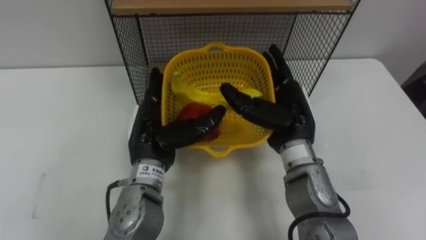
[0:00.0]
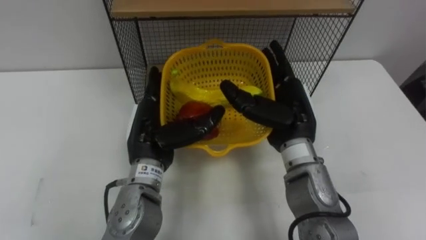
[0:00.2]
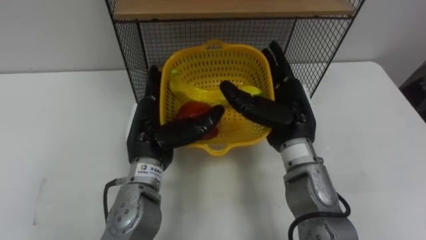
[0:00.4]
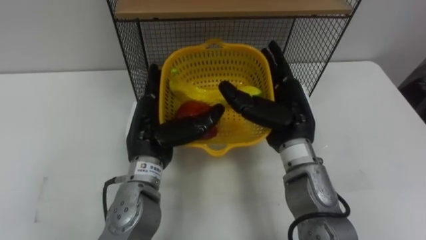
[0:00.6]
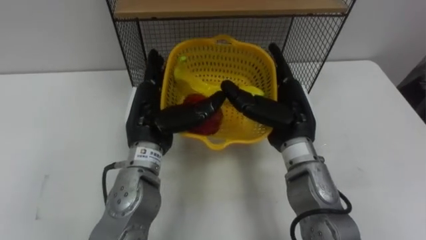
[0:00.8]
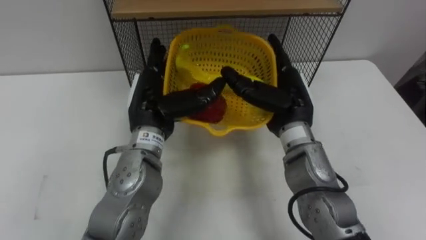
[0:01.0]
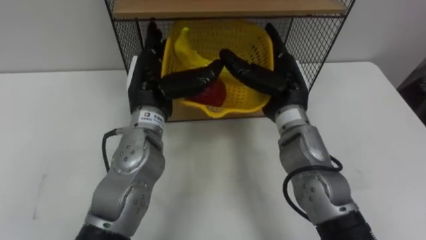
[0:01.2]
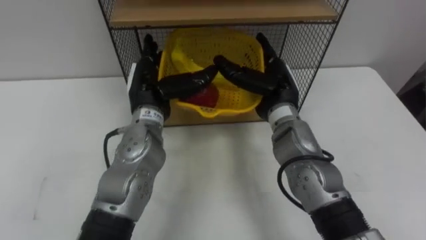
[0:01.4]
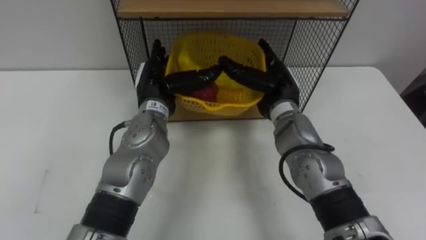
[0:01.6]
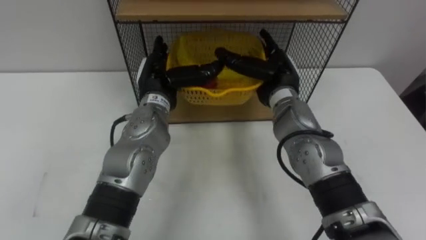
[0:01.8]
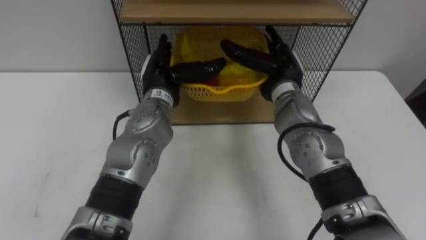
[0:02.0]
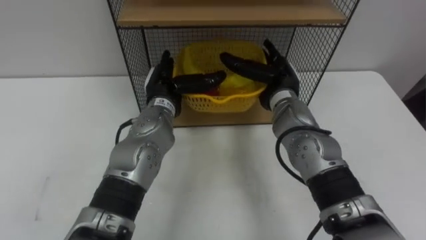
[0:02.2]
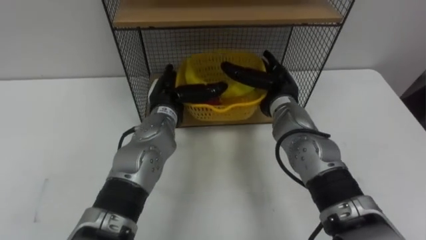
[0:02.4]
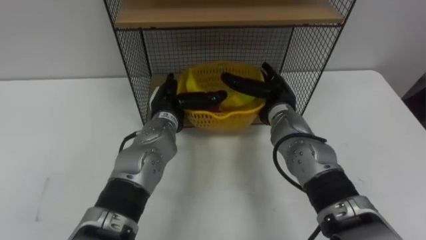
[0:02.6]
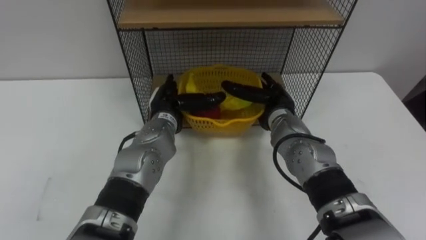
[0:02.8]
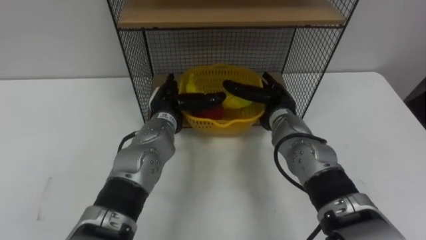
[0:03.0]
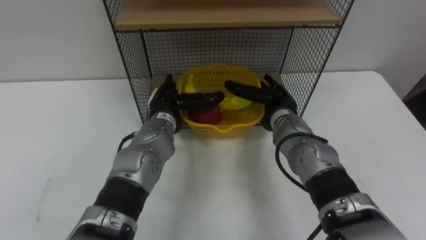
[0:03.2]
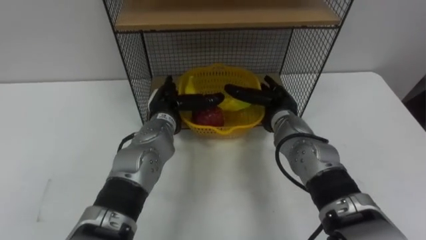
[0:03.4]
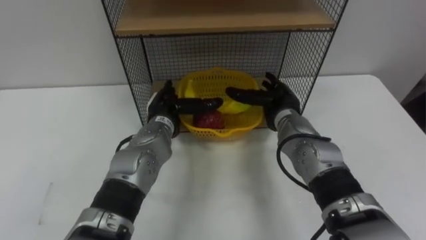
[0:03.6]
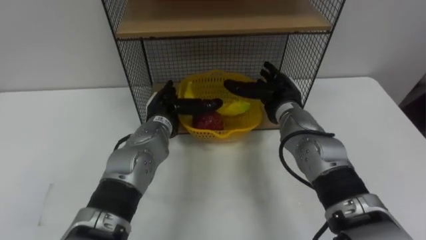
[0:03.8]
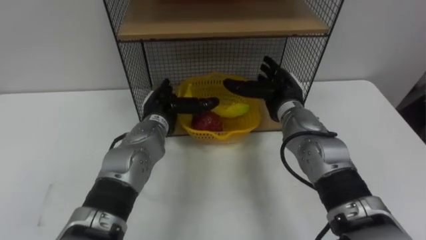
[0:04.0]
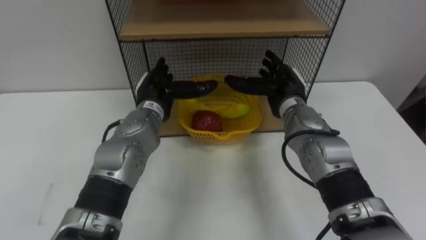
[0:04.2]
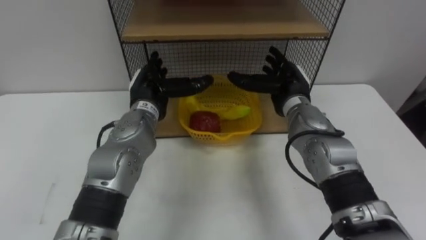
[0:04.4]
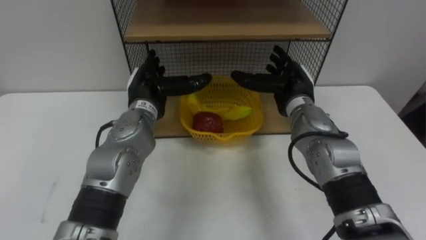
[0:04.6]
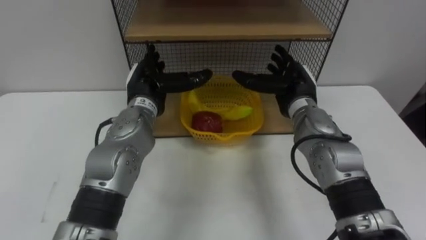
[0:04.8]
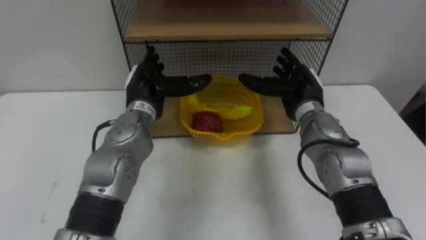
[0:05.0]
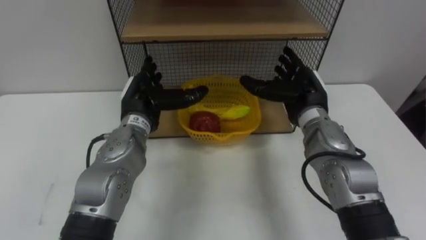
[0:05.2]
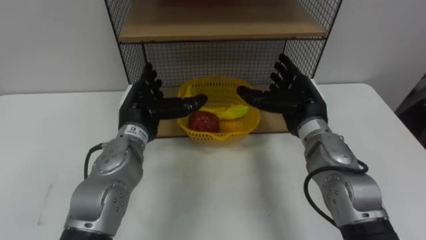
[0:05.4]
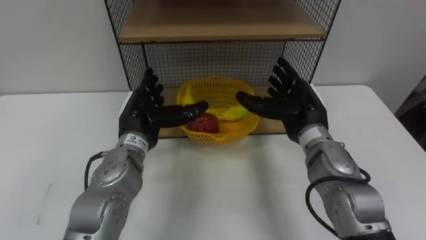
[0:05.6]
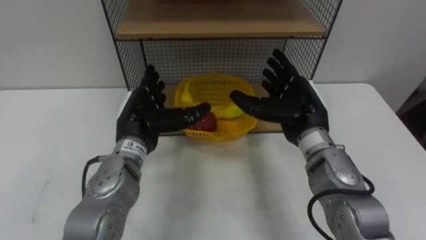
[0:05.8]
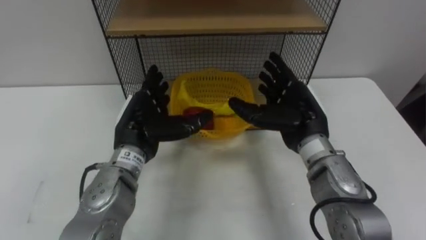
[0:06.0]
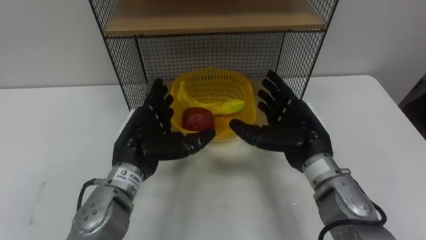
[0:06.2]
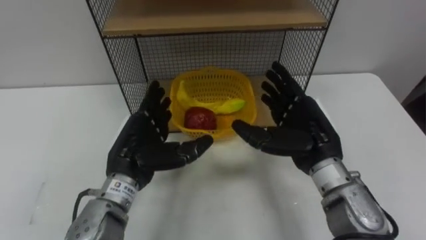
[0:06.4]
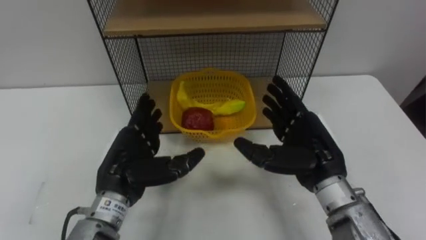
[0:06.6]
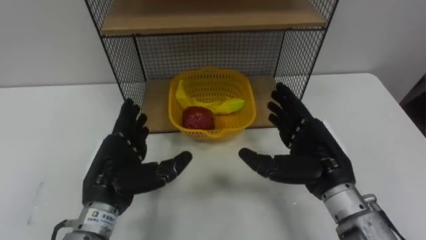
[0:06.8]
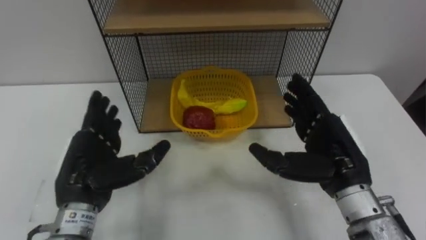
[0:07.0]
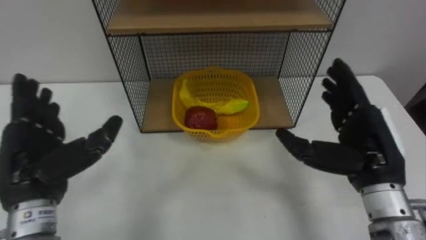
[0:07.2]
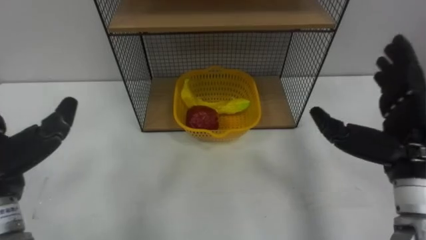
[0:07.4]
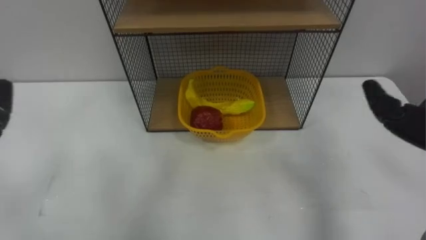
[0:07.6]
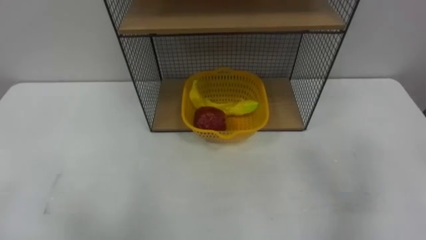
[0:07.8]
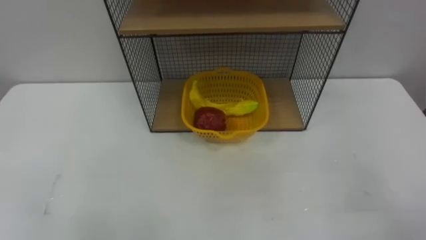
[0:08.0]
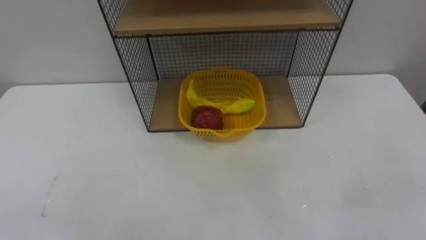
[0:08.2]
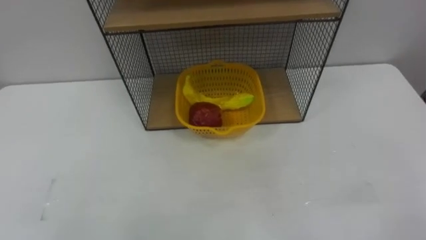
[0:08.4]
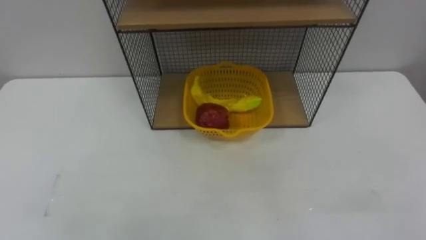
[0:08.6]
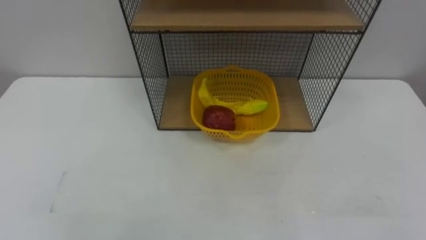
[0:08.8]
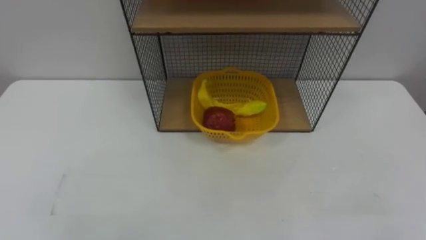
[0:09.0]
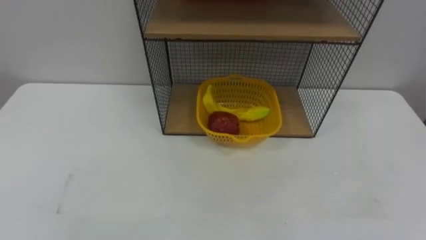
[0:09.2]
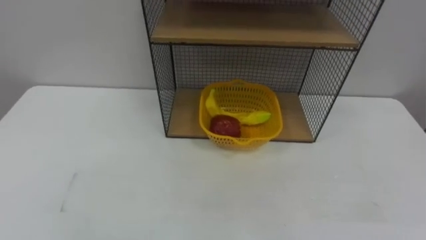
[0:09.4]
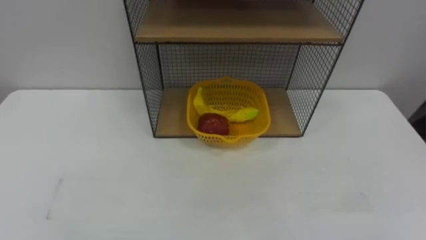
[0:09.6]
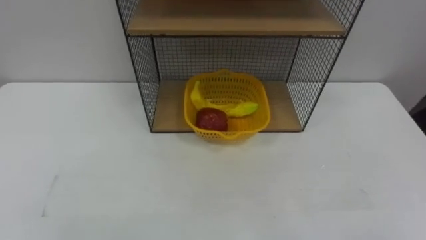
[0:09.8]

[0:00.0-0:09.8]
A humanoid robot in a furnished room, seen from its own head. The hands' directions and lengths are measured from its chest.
Task of the whole recording: Put the fruit on the table into the basket, then place the basket on the shelf.
0:00.0 to 0:01.4: Both hands move forward, about 5 cm.
0:01.4 to 0:02.8: The hands both shift downward by some 10 cm.
0:04.2 to 0:05.6: Both hands travel together backward, approximately 5 cm.
0:05.6 to 0:07.0: The right hand is displaced backward by some 10 cm; the left hand goes approximately 15 cm backward and to the left.

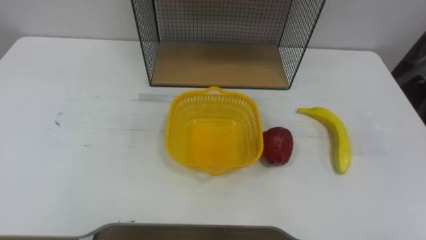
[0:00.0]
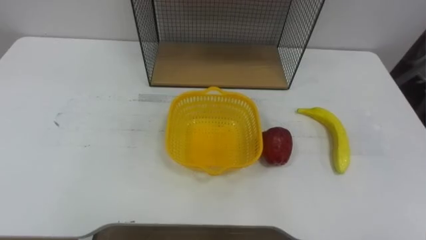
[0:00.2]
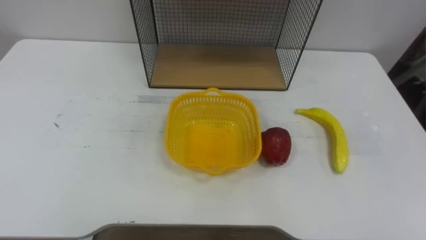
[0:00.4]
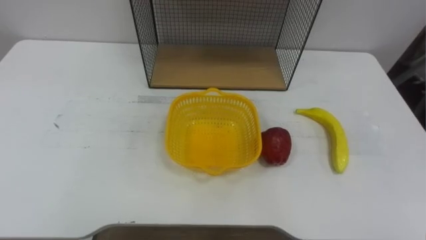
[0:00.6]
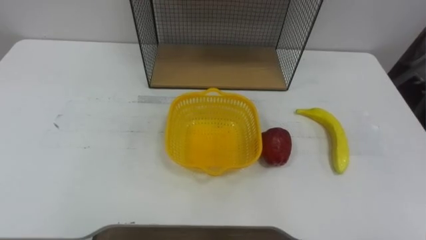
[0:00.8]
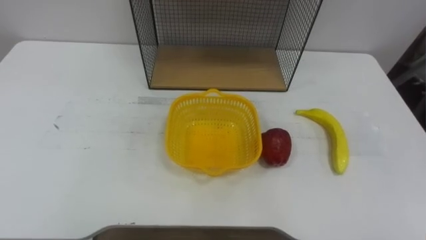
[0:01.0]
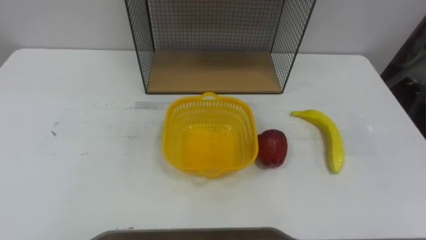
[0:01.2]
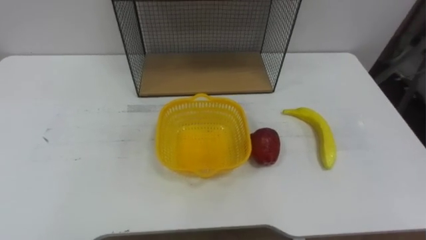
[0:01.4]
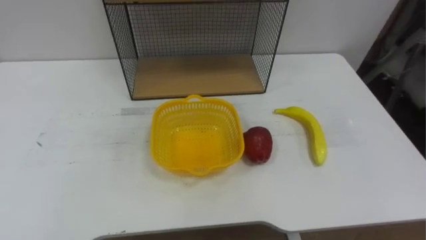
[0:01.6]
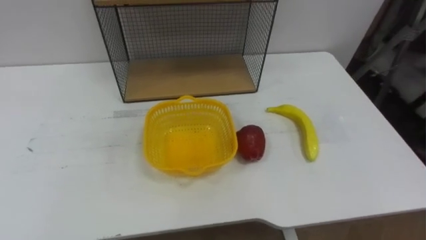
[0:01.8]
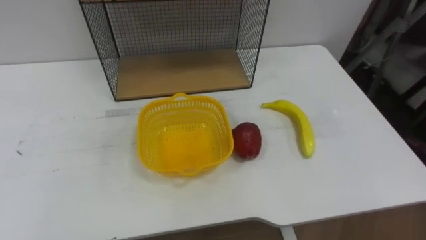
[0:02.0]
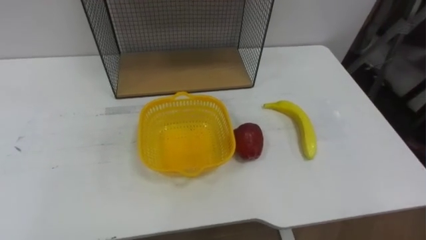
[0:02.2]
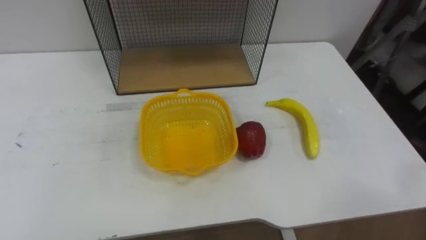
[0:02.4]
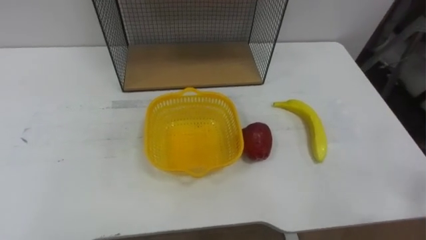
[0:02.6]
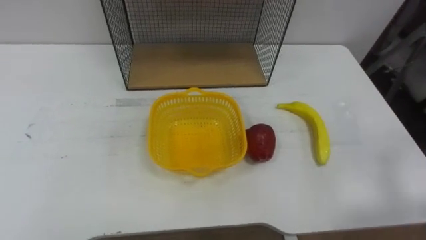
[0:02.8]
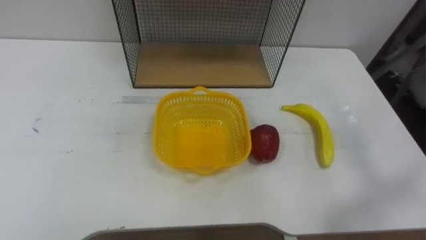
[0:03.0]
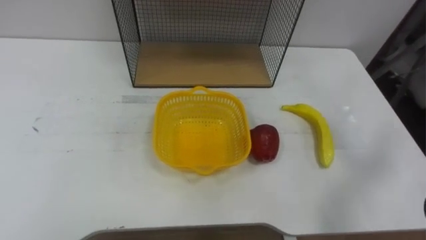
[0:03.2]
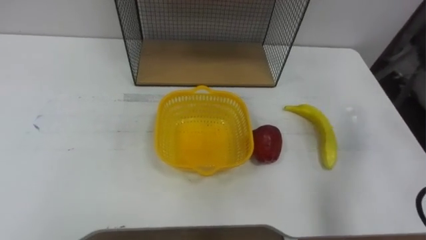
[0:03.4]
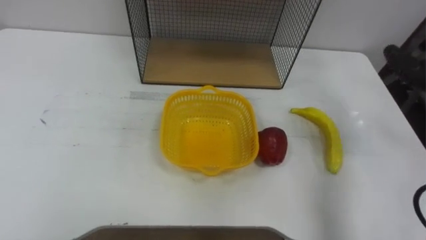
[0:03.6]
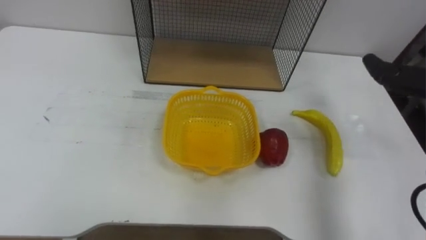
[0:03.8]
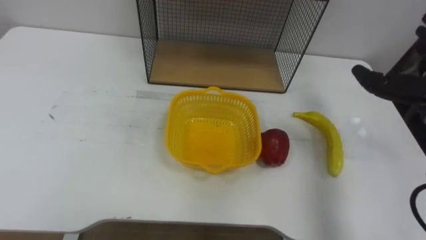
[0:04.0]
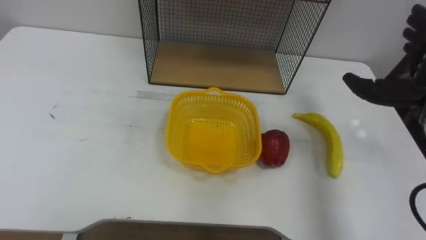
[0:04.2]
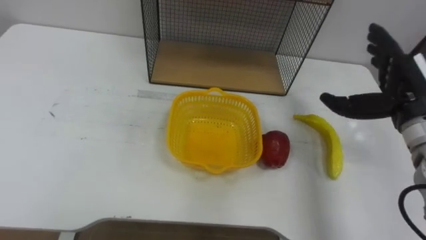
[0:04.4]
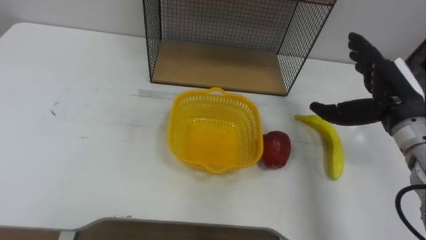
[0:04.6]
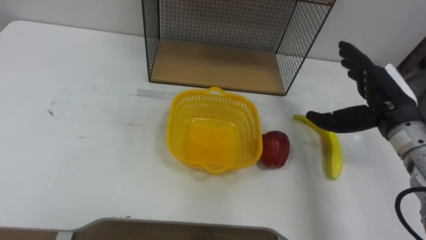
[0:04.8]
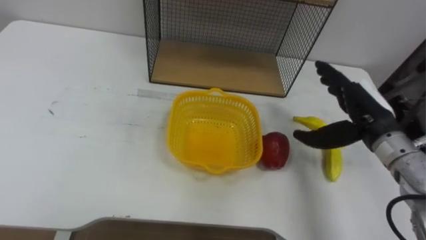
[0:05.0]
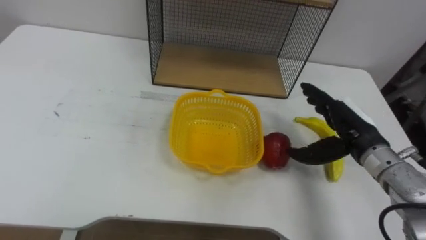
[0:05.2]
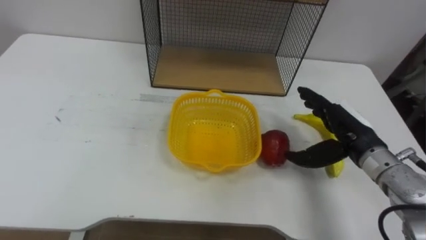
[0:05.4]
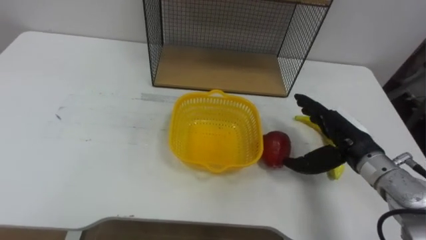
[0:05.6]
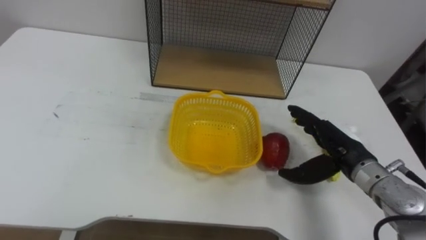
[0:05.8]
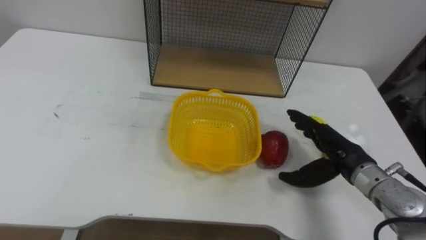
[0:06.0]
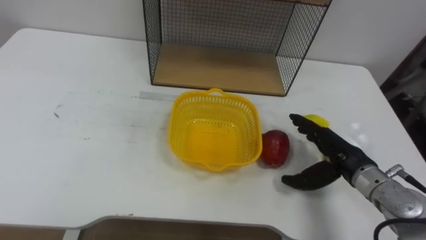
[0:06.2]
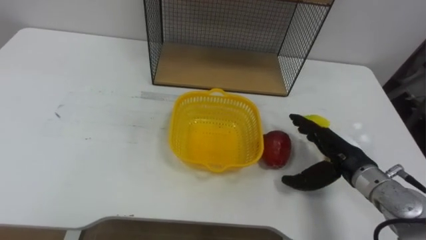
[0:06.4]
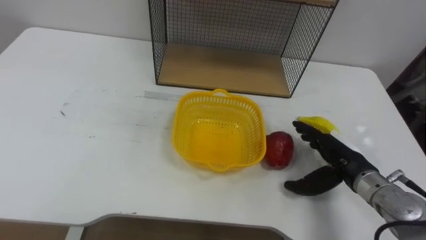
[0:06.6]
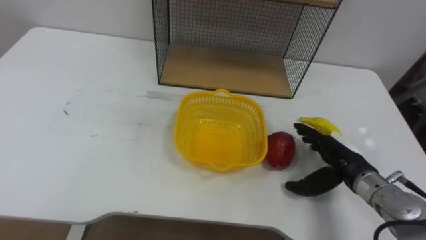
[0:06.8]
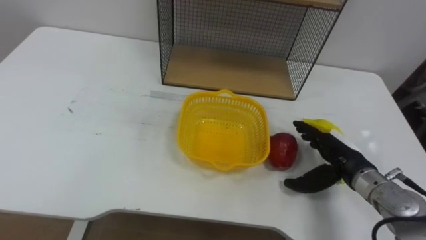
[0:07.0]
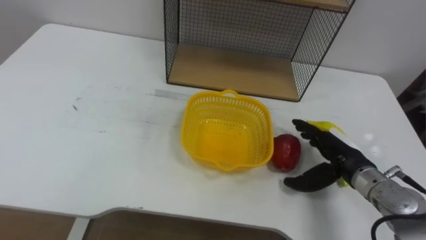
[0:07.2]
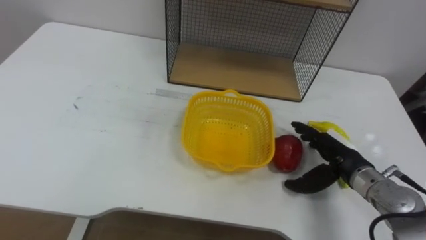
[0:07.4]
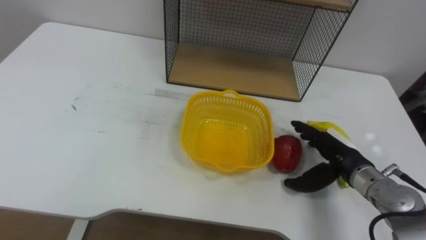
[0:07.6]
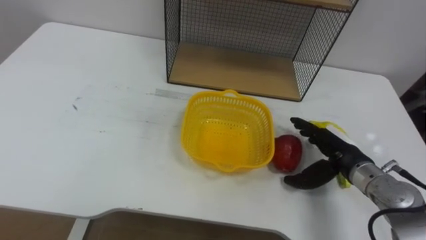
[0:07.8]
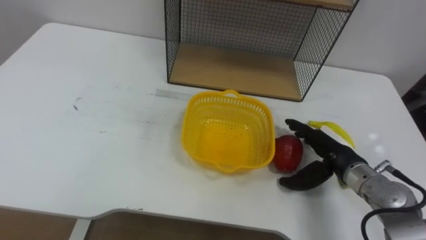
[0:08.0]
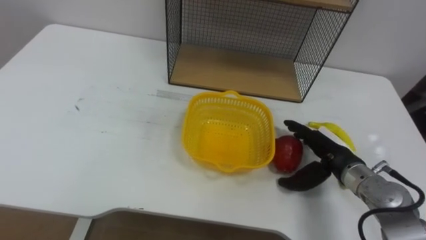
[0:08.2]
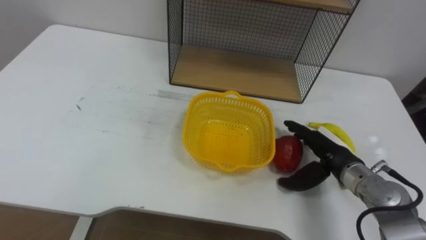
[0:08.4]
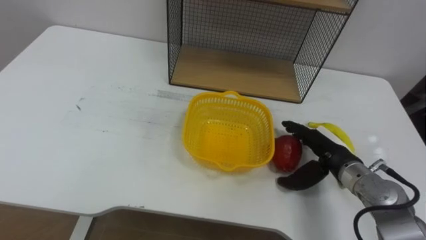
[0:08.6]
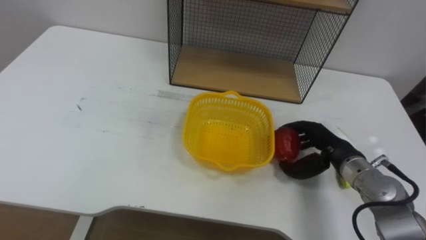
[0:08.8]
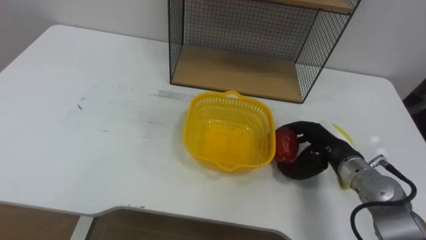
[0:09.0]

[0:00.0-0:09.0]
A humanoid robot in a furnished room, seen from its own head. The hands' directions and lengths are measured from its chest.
Task of the whole recording: Put the fruit on the table into the basket, then place the basket on the shelf.
0:04.4 to 0:06.0: The right hand travels downward and to the left by about 15 cm.
0:07.6 to 0:09.0: The right hand closes its fingers.
